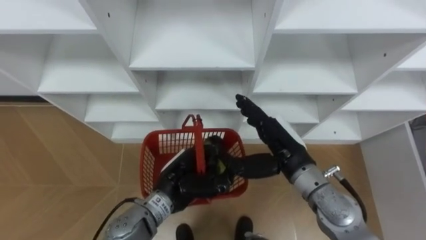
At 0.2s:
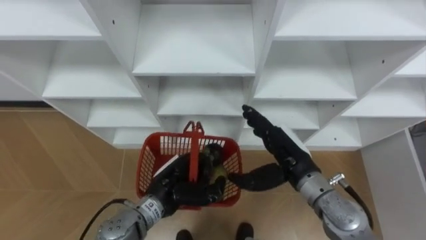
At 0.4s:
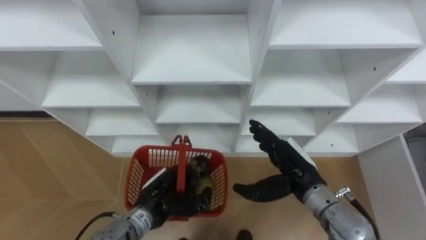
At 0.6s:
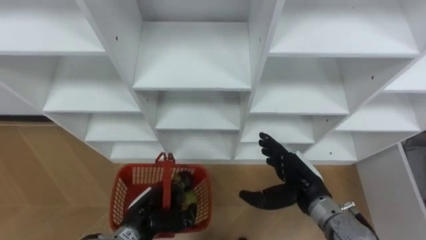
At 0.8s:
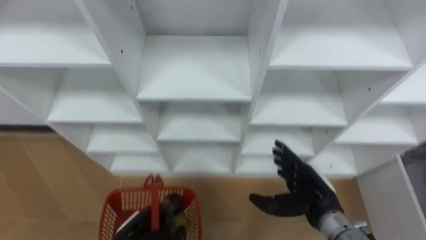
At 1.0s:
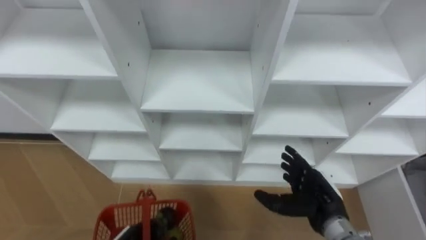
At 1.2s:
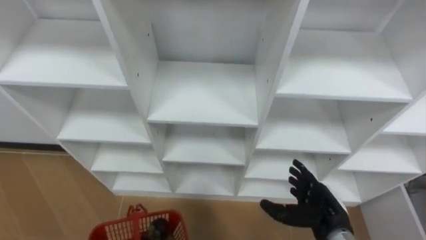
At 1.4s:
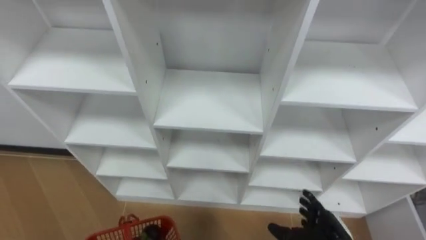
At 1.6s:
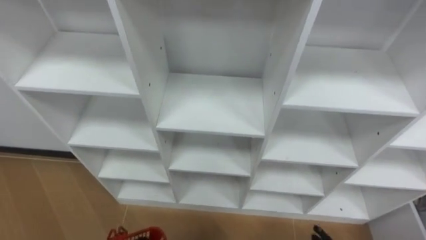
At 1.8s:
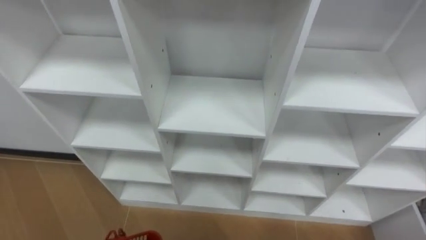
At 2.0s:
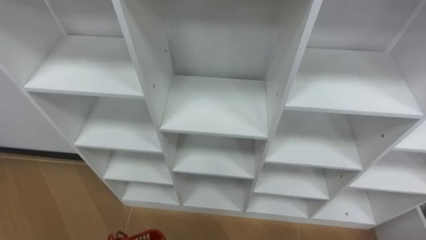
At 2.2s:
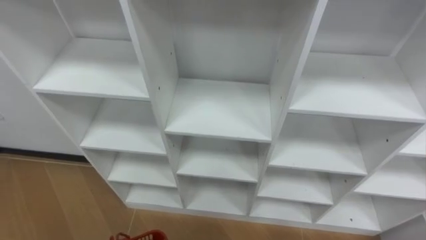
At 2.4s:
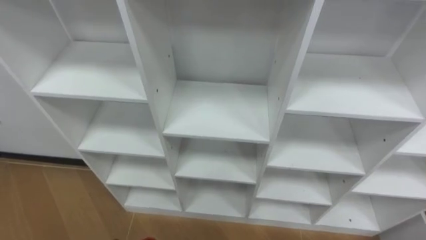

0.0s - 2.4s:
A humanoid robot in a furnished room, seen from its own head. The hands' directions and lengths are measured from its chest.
Task of the whole recording: Hold the basket and collect the fruits from 3 different cells of the closet into it.
0.0s - 1.2s: The right hand goes some 15 cm downward, to the right and backward.

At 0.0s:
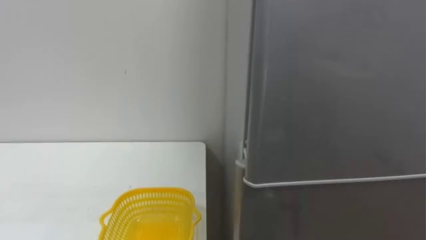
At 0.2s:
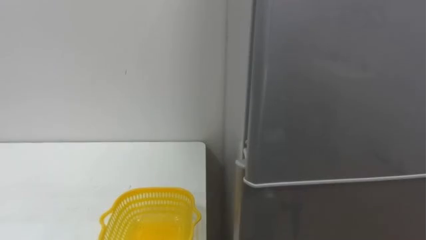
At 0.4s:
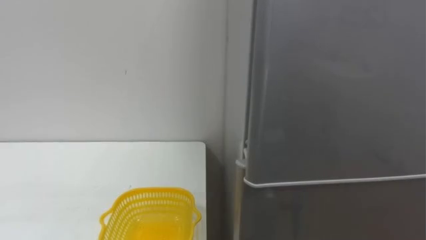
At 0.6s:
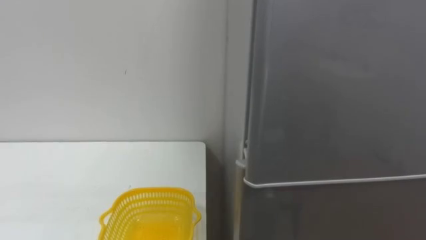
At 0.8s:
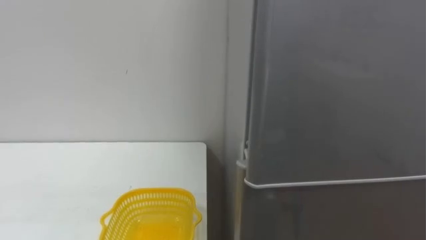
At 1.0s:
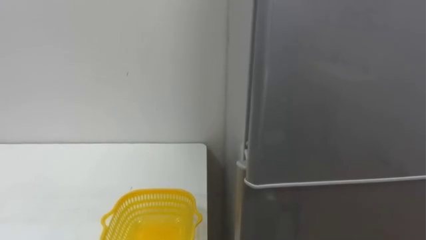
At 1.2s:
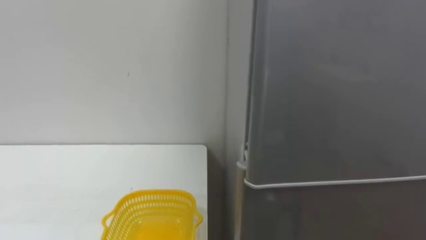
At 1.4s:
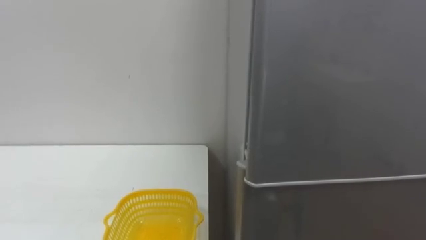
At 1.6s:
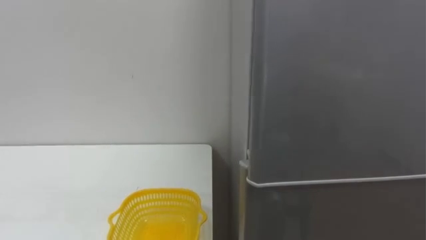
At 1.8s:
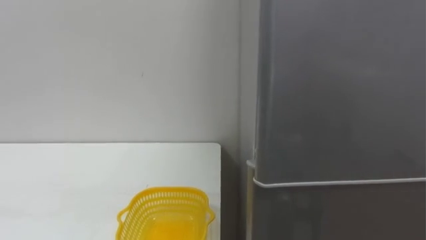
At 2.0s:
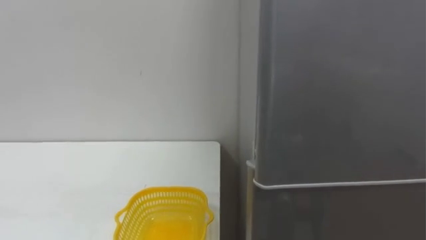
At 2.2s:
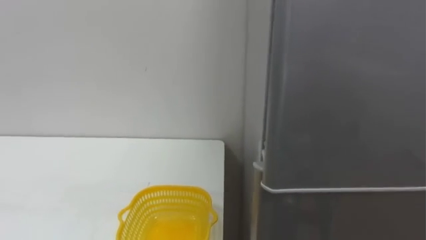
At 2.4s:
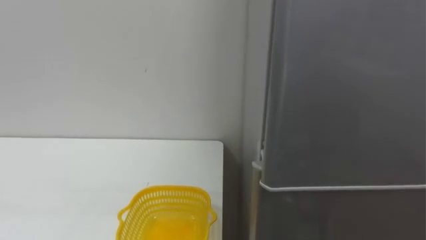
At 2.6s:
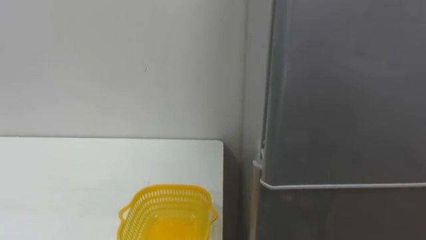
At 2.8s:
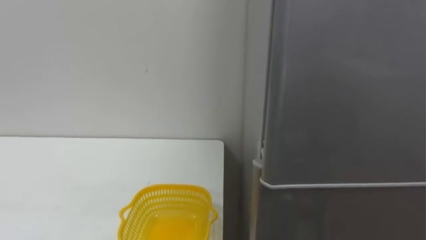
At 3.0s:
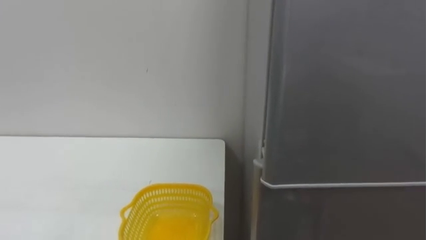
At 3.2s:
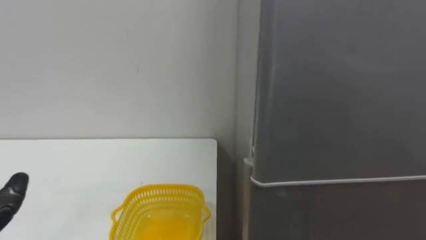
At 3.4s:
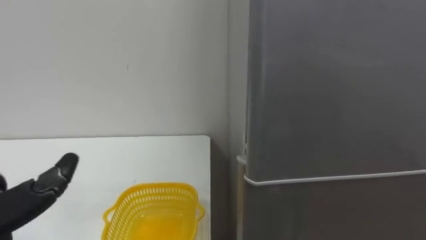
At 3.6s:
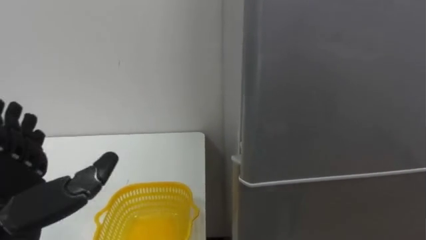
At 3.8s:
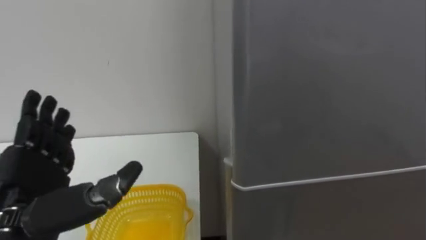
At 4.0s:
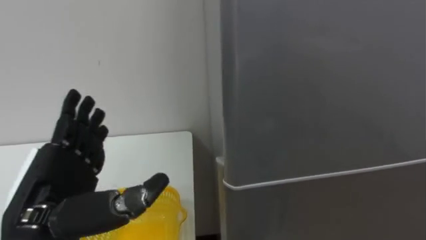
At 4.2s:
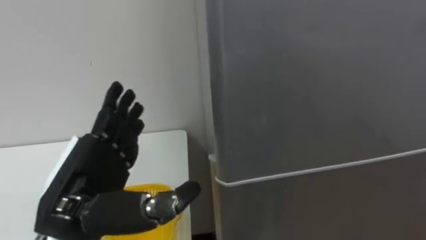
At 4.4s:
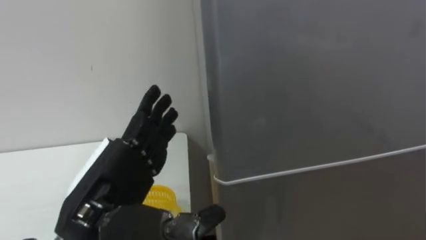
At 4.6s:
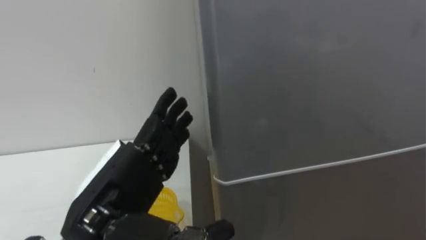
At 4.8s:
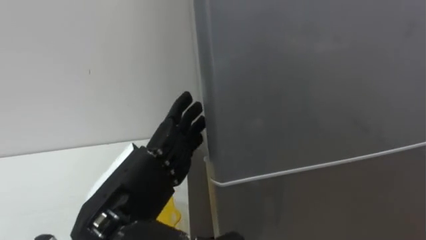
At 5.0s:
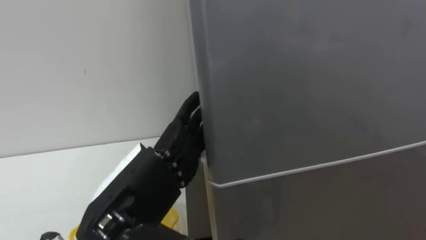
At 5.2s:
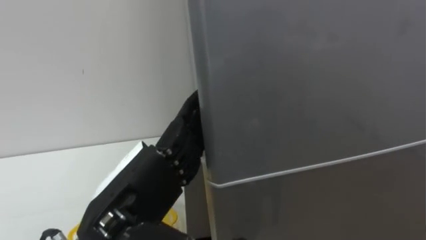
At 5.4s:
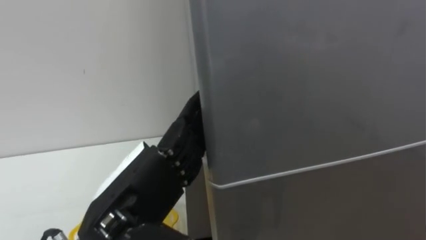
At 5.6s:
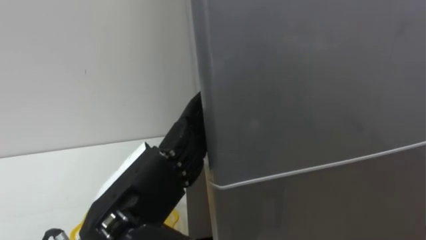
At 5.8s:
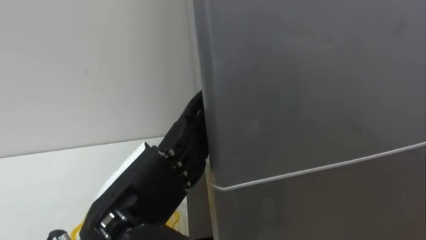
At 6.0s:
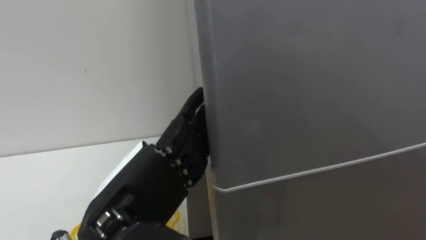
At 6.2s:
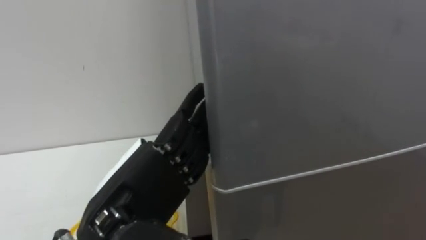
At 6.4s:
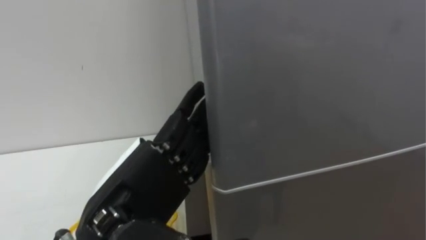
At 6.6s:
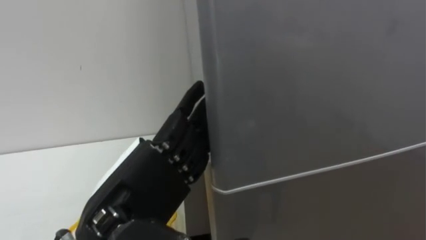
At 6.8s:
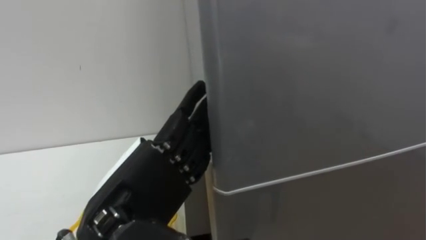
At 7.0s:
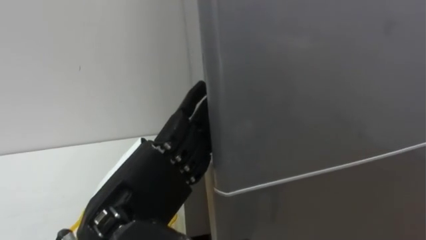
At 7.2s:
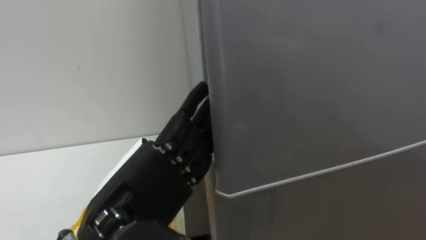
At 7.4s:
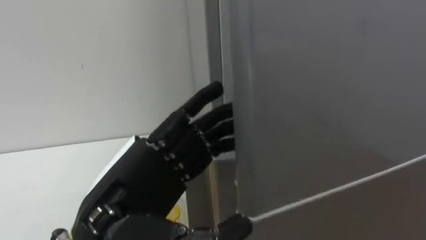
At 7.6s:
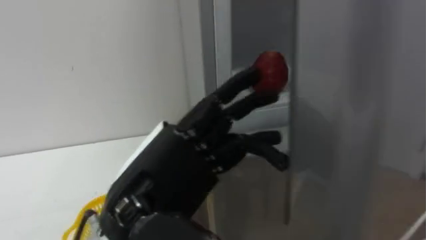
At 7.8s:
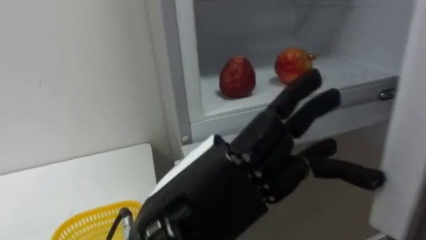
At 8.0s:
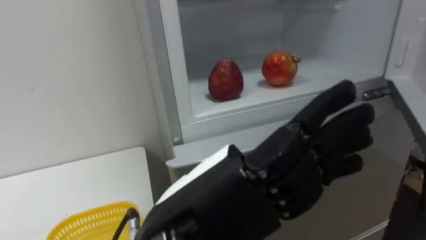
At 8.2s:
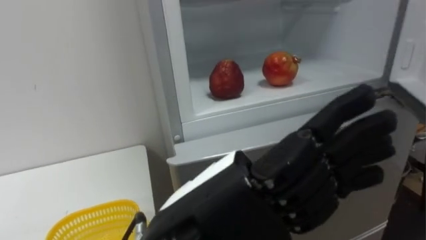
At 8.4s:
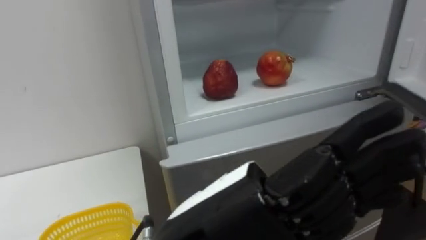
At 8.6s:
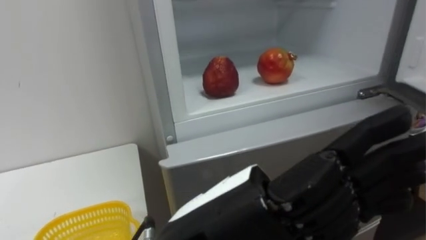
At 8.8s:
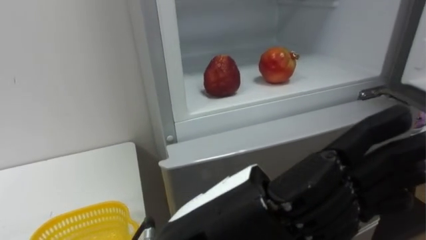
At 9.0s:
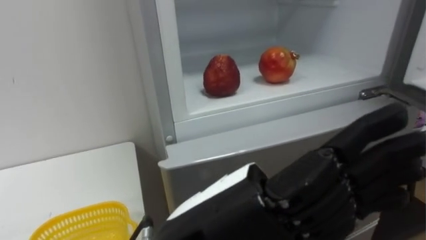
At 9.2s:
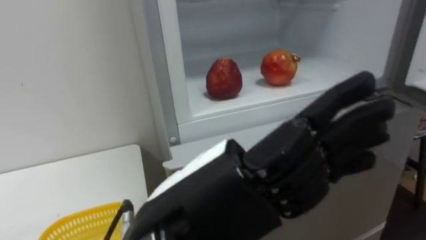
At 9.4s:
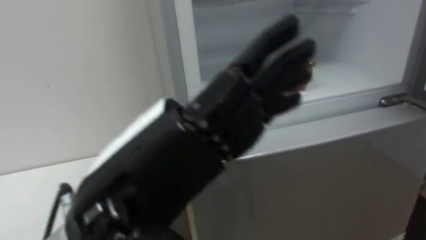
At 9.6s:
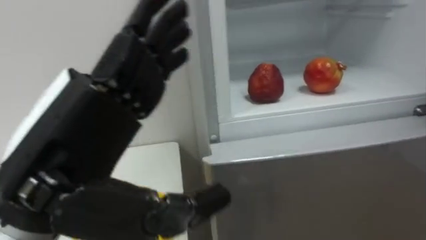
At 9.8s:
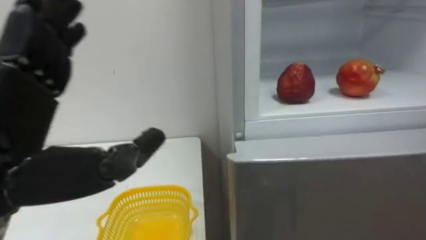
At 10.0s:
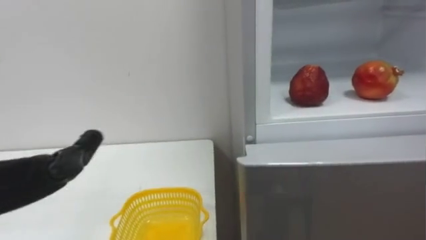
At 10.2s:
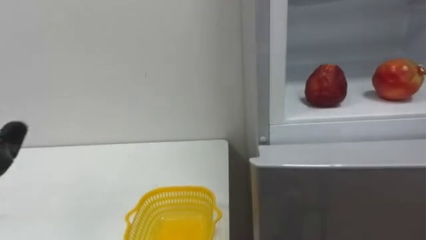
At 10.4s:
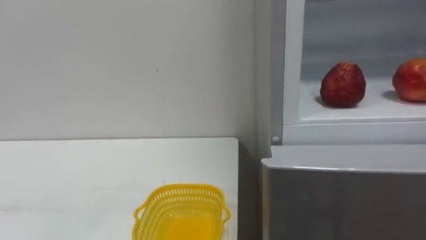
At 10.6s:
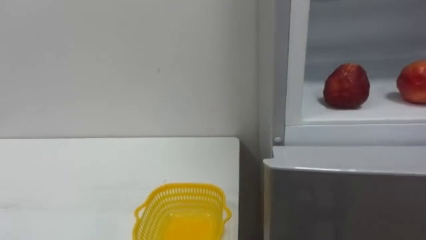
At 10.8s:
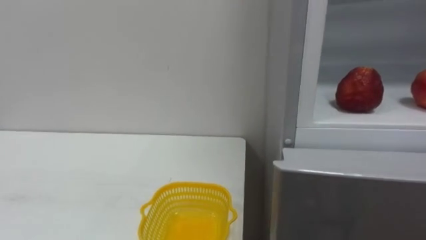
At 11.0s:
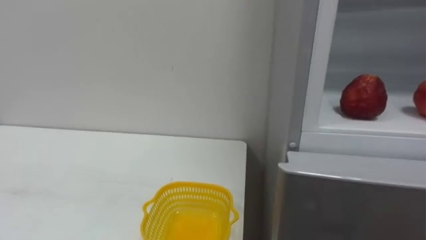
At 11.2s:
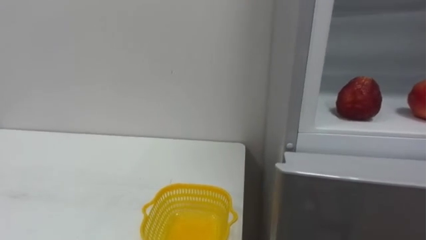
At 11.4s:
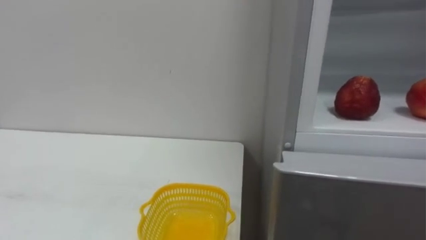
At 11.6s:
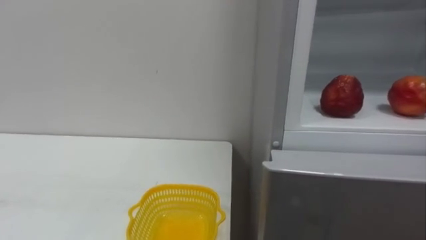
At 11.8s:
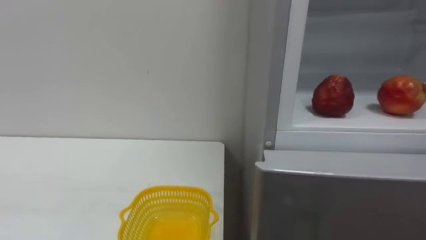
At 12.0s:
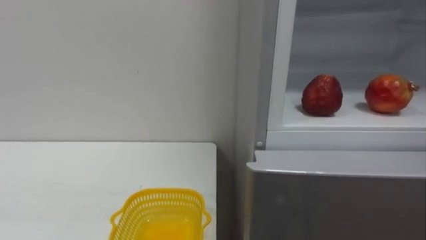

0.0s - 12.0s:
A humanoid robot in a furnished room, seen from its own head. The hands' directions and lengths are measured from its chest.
Task of the whole recording: Open the refrigerator door, take out the apple and the pomegranate, place them in the fruit basket on the left, and close the refrigerator door.
7.6s - 9.0s: The left hand travels backward and to the right by approximately 10 cm.

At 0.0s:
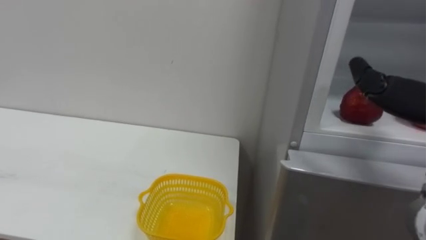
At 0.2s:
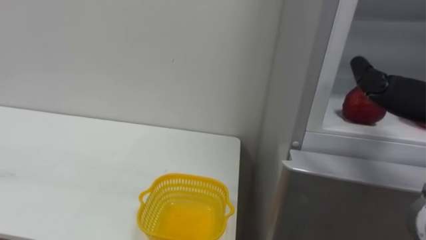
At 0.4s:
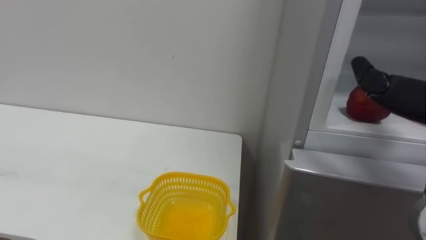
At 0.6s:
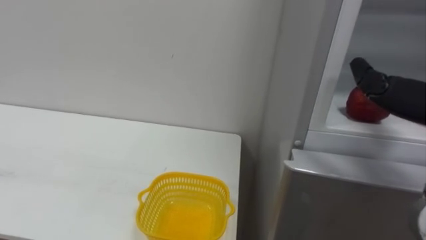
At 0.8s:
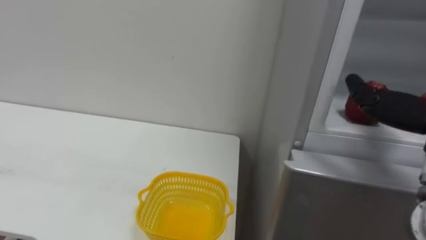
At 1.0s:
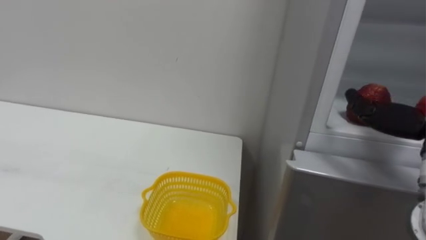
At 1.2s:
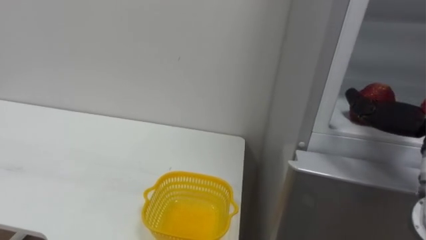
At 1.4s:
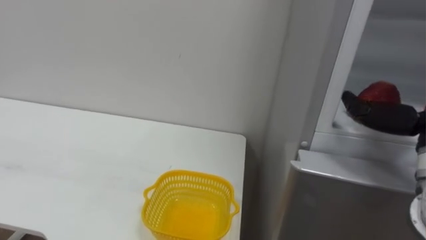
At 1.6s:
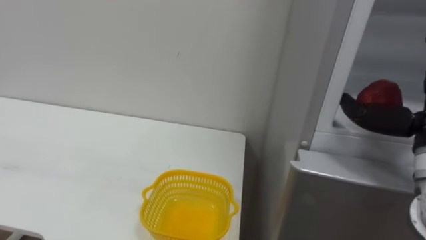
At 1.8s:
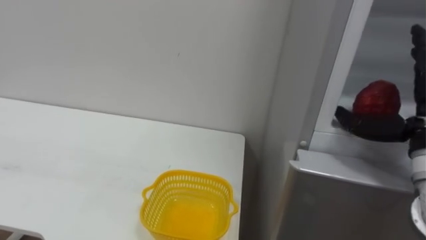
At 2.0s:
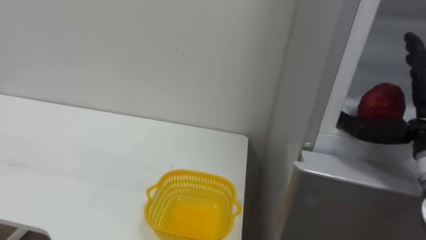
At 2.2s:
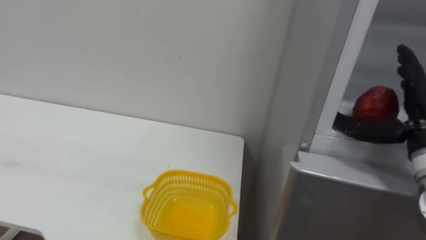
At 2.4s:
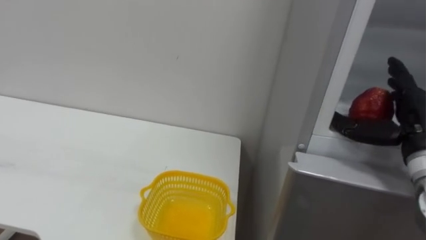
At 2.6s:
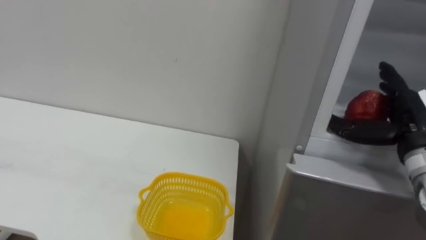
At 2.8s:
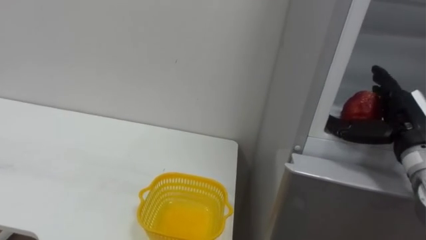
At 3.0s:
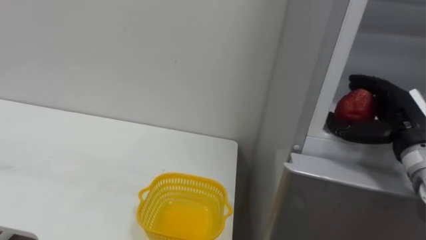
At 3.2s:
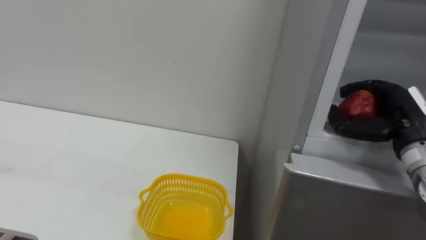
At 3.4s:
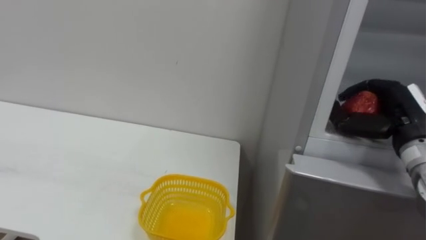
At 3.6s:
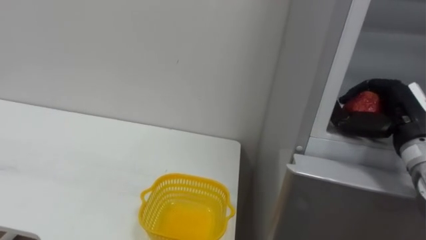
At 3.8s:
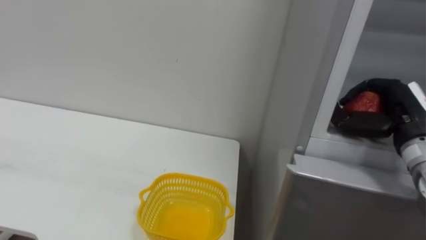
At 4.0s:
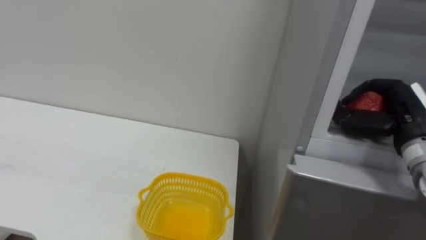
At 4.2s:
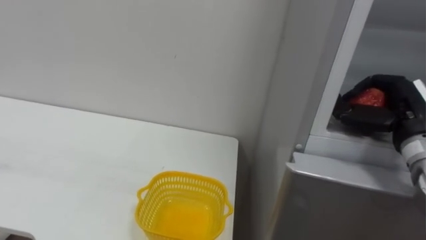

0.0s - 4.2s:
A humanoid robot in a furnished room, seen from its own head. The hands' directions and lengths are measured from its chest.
Task of the whole recording: Open the refrigerator door, take out the apple and the pomegranate, place them in the fruit basket on the left, and close the refrigerator door.
2.8s - 4.2s: The right hand closes its fingers.
